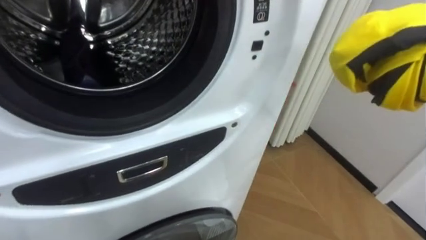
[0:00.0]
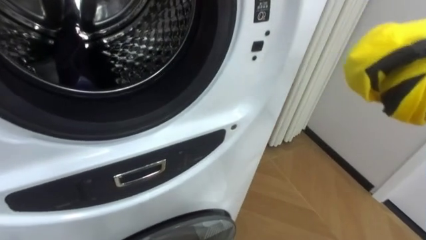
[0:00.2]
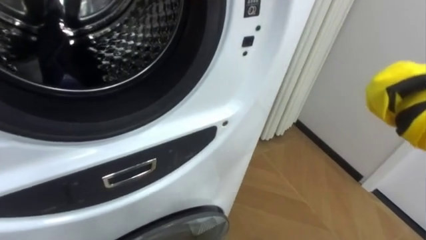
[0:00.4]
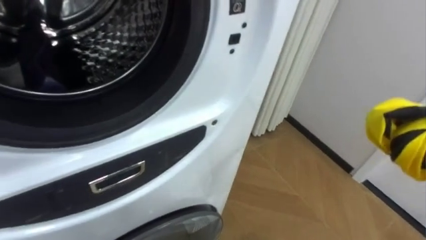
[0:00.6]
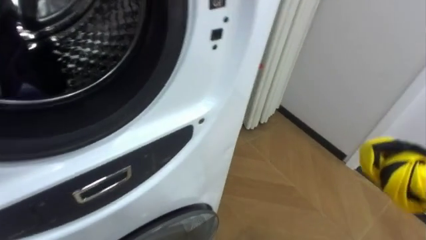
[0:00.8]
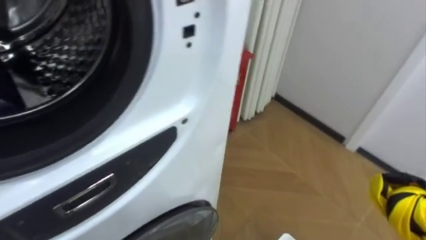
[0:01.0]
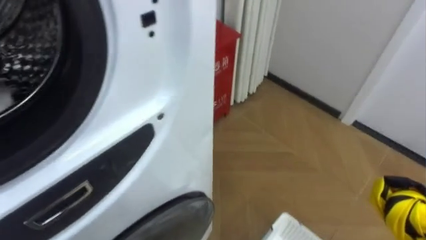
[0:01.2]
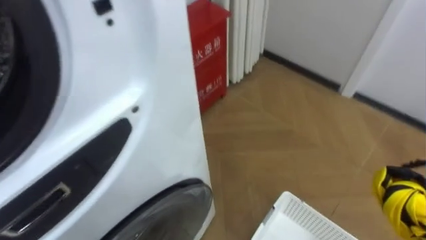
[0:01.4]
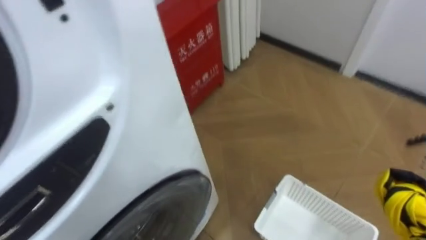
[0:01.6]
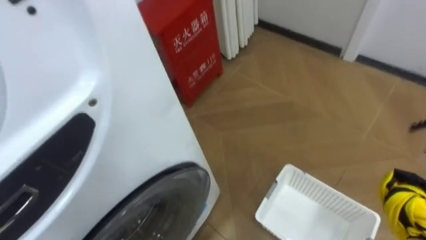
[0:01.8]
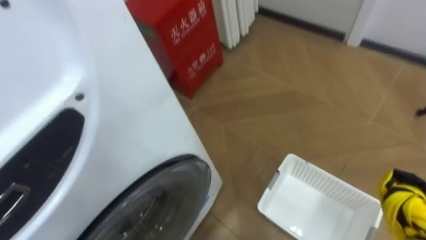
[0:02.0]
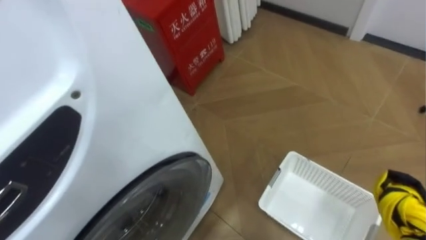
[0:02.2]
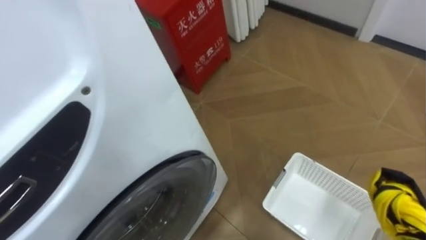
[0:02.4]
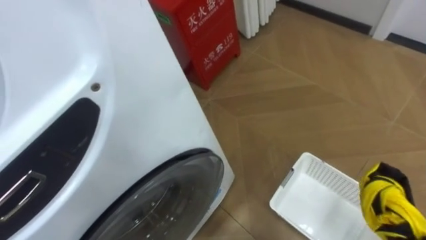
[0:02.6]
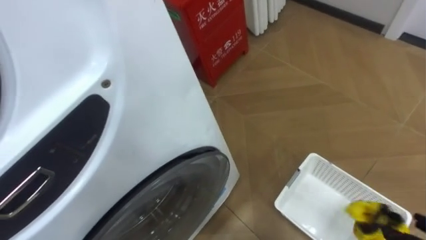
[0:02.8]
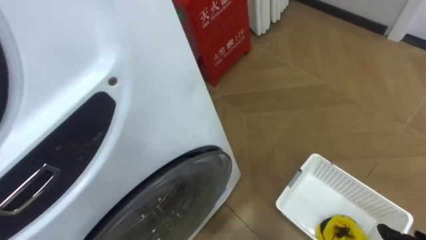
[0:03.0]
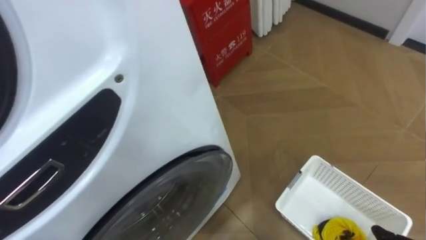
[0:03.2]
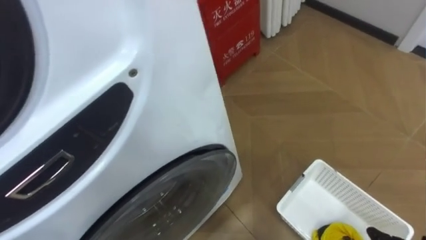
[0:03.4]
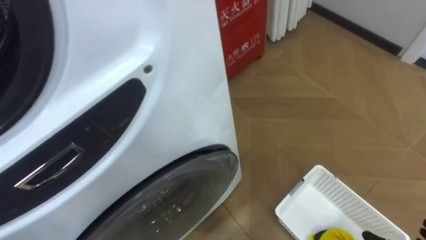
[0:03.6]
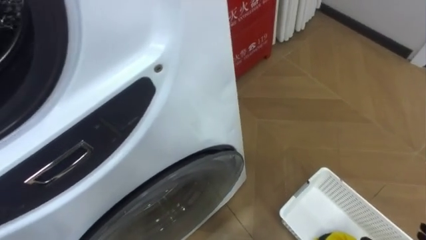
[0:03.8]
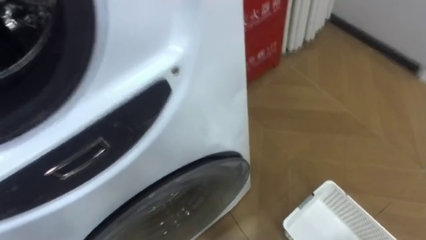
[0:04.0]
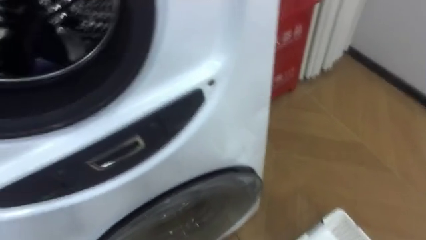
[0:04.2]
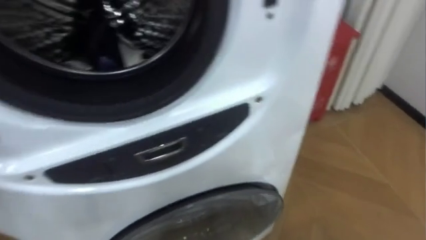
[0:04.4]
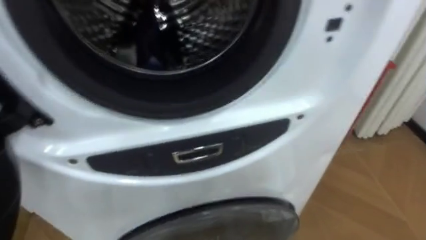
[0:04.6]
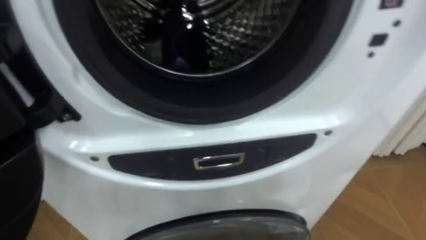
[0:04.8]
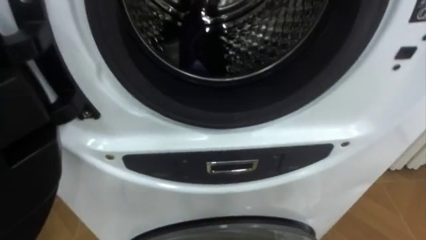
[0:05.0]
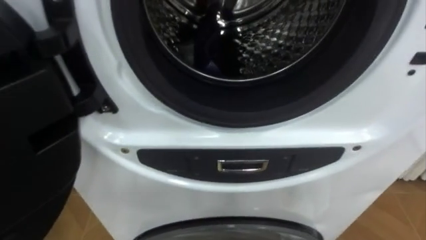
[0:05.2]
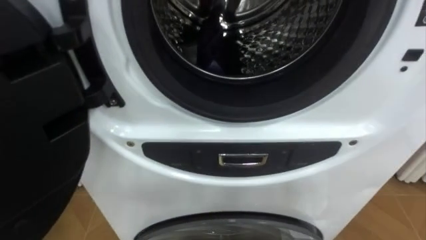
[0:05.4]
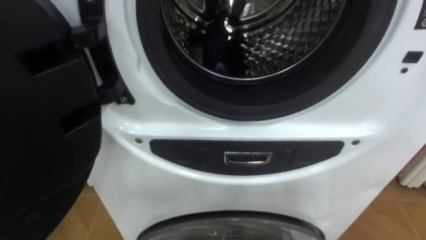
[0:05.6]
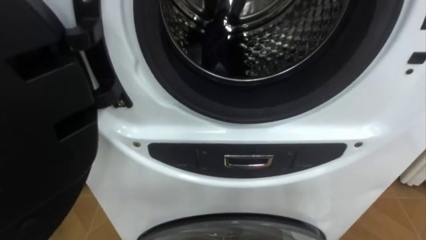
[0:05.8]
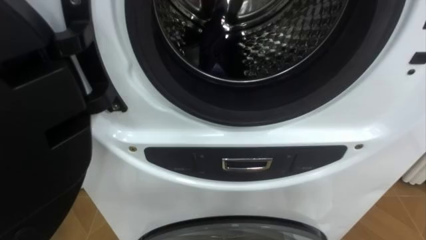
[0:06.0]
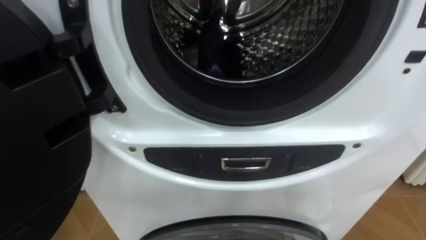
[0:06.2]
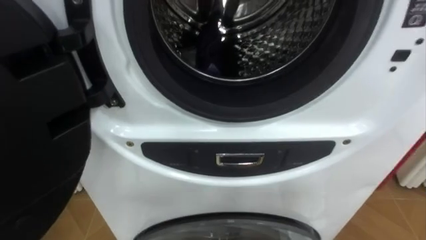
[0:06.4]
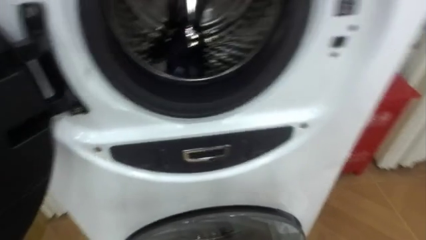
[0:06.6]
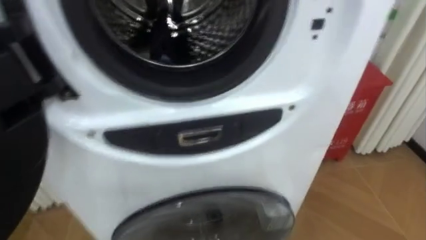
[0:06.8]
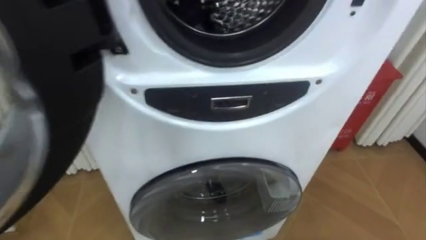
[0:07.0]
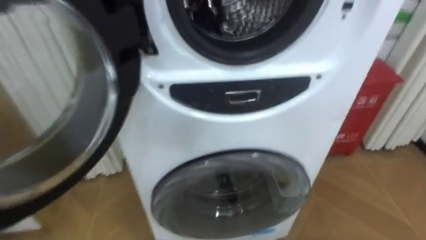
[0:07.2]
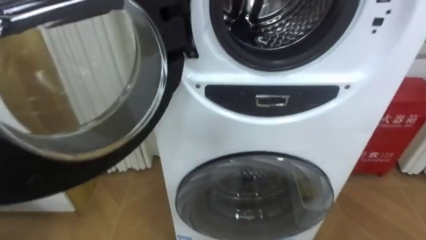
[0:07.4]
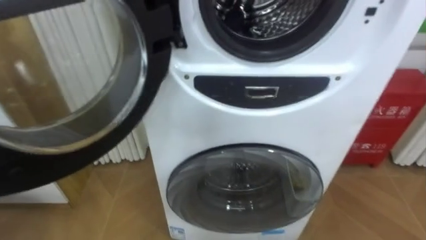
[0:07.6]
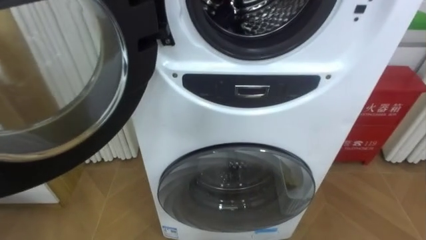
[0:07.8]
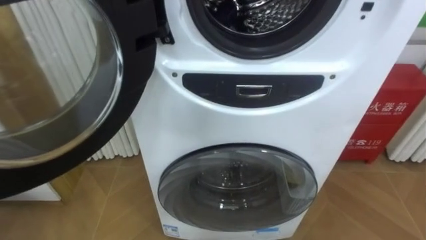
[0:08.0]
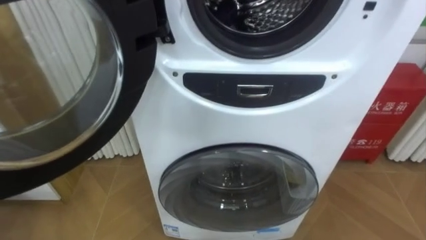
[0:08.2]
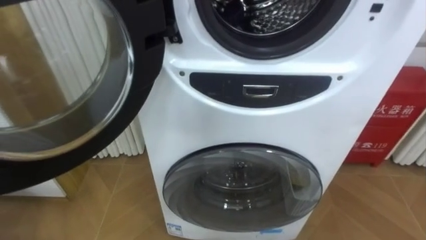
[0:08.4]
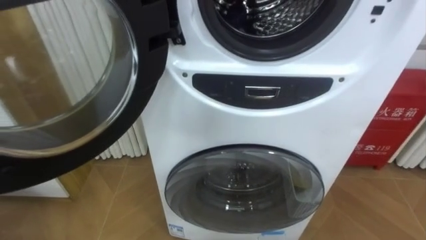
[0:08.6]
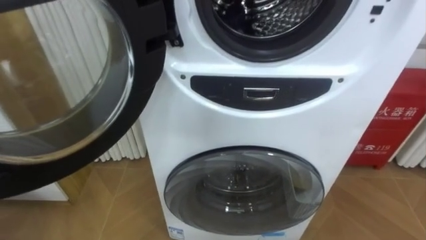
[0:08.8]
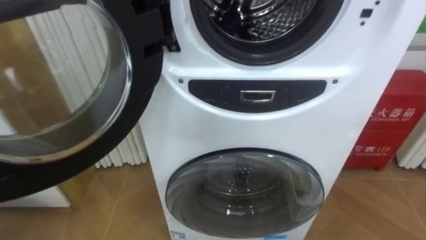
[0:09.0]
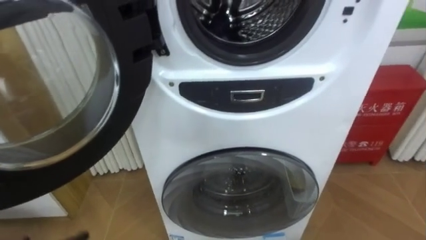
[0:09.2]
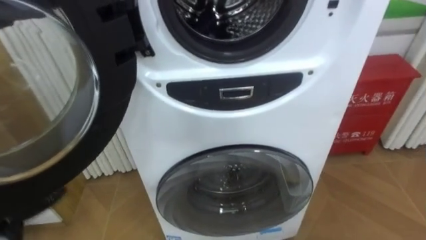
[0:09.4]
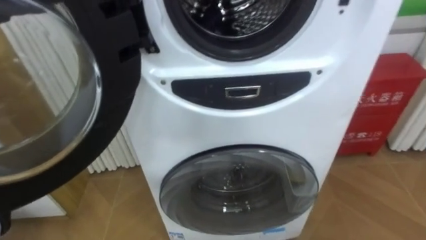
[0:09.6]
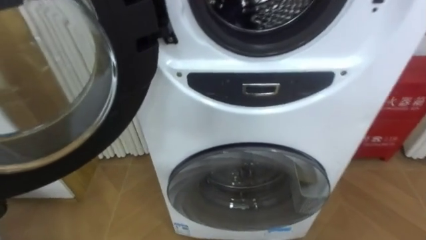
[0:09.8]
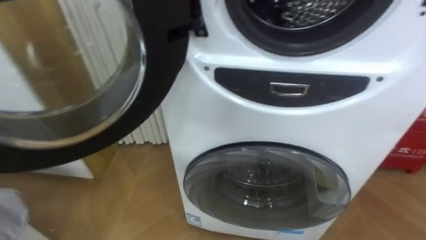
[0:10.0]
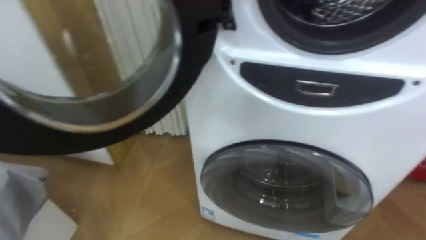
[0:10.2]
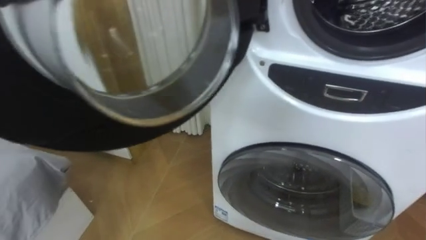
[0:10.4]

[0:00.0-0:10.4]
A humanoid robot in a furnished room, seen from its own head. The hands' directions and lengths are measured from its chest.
Task of the whole recording: Open the washing machine door, take out the yellow clothes, place them in the box on the right, and close the washing machine door.
0:00.0 to 0:01.4: The robot turns to its right by some 15 degrees.
0:03.0 to 0:04.4: The robot rotates roughly 15 degrees to its left.

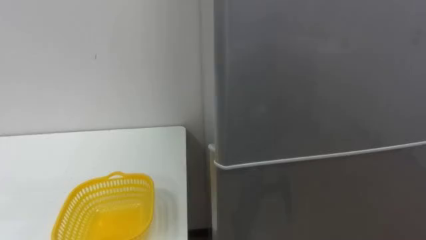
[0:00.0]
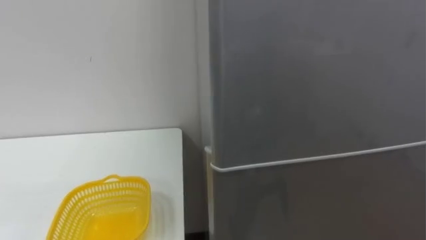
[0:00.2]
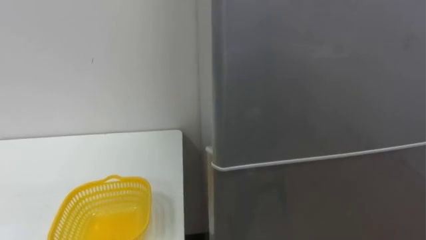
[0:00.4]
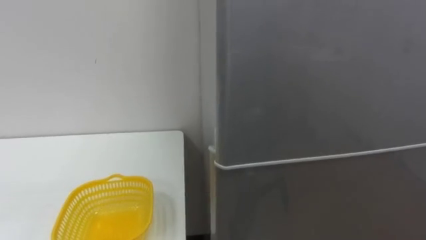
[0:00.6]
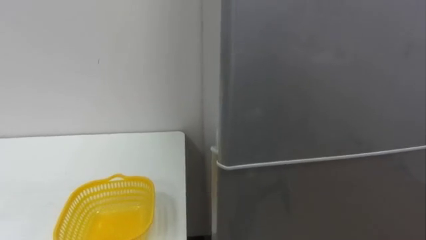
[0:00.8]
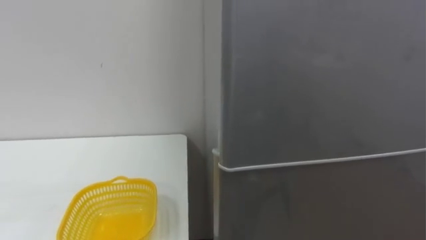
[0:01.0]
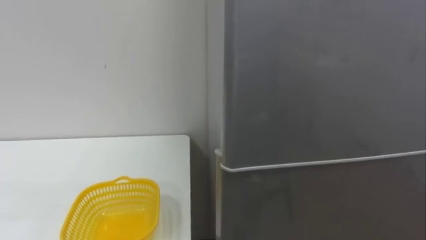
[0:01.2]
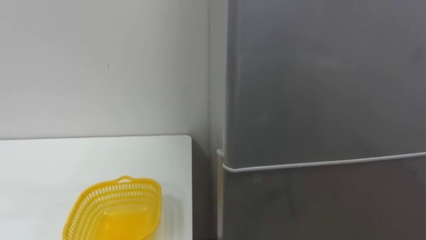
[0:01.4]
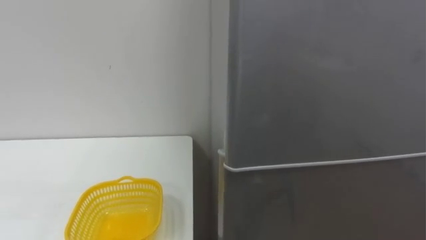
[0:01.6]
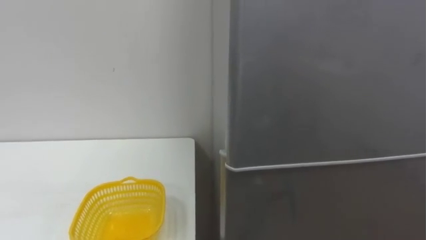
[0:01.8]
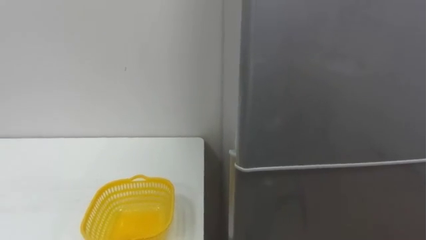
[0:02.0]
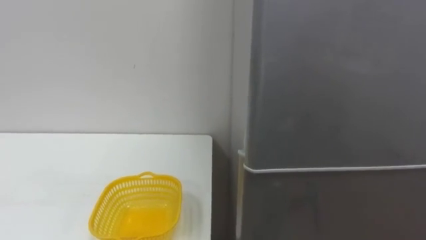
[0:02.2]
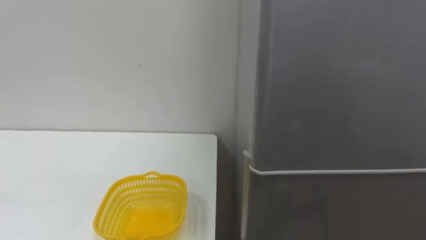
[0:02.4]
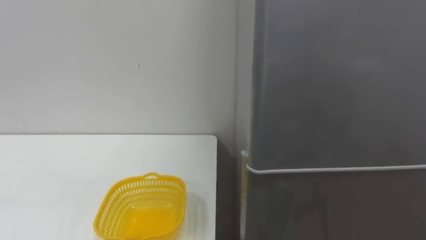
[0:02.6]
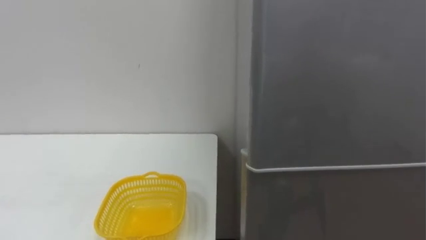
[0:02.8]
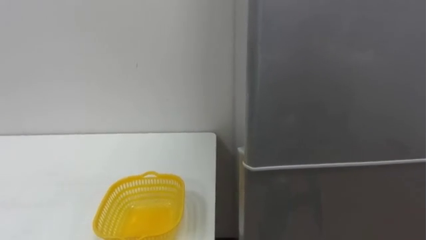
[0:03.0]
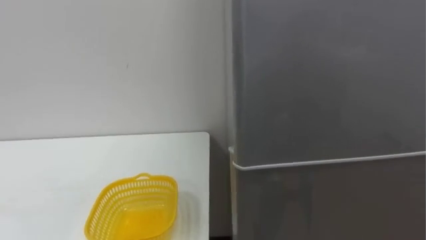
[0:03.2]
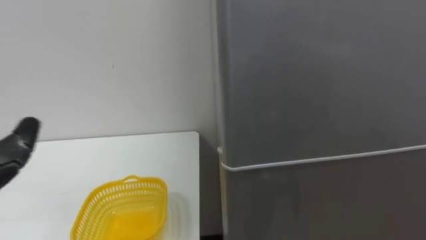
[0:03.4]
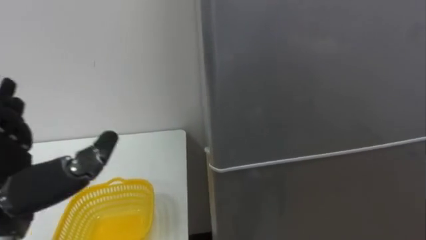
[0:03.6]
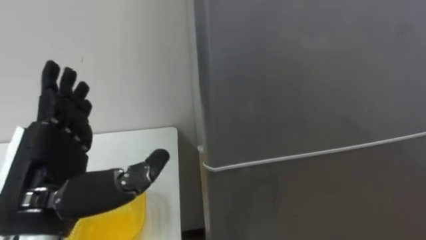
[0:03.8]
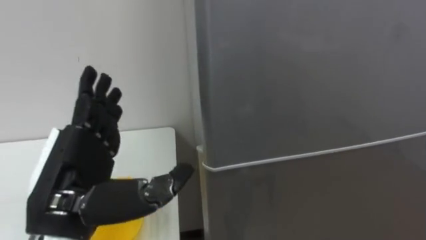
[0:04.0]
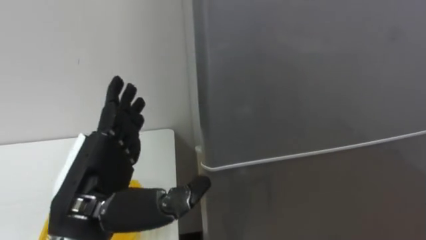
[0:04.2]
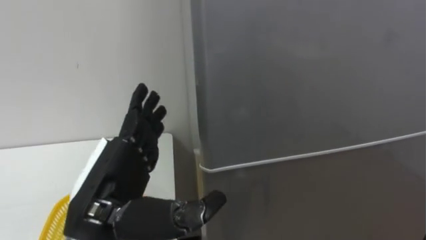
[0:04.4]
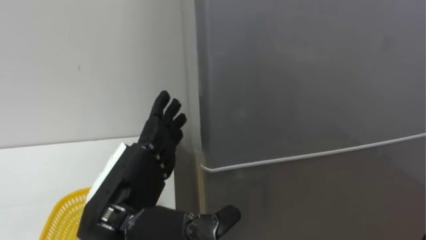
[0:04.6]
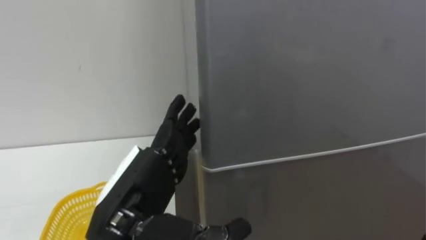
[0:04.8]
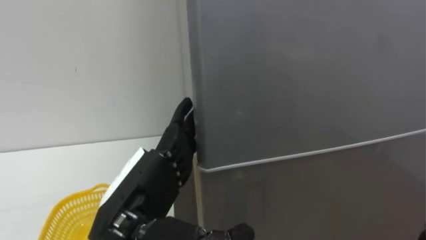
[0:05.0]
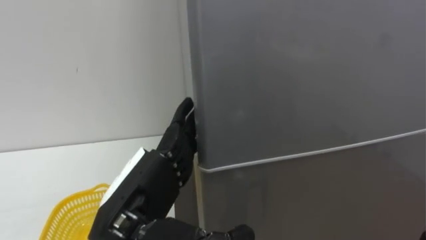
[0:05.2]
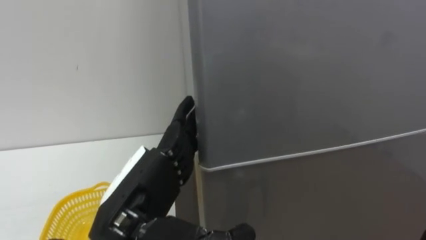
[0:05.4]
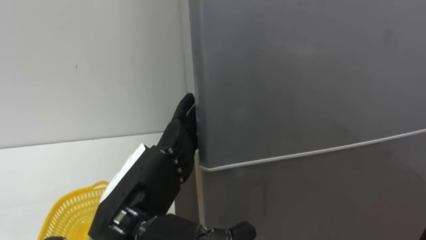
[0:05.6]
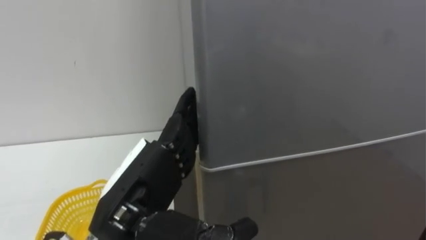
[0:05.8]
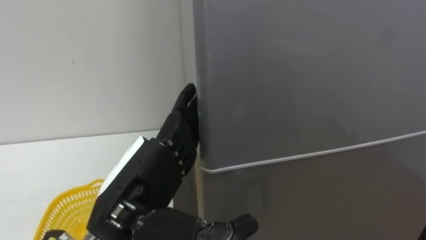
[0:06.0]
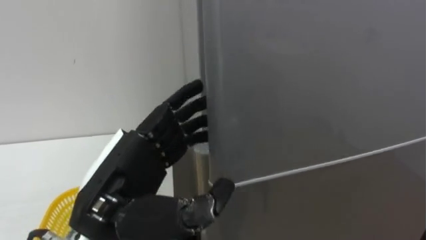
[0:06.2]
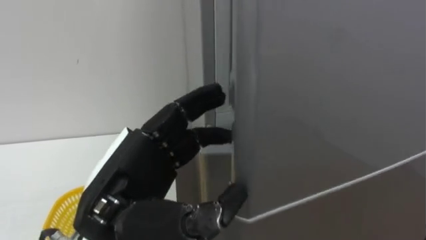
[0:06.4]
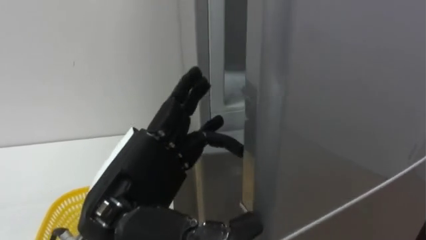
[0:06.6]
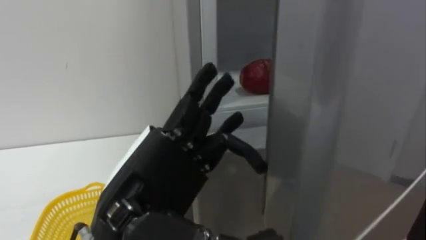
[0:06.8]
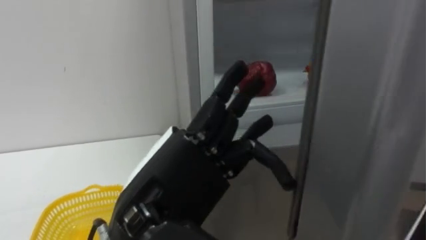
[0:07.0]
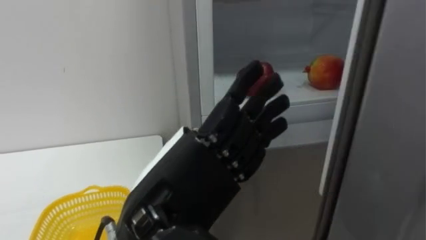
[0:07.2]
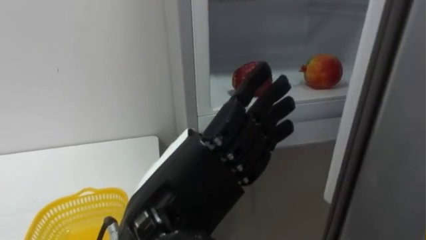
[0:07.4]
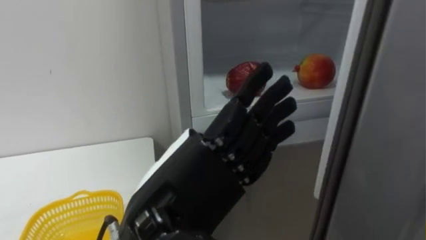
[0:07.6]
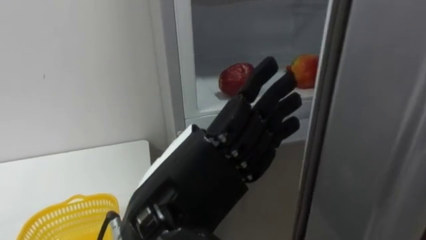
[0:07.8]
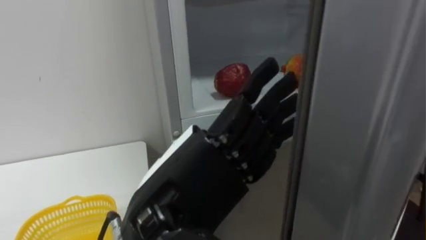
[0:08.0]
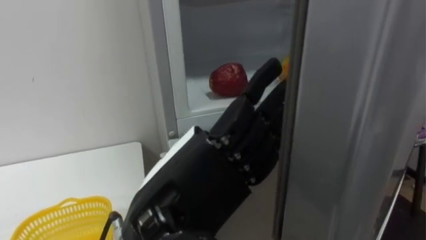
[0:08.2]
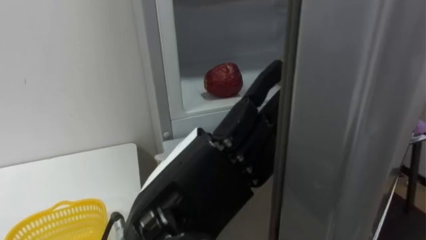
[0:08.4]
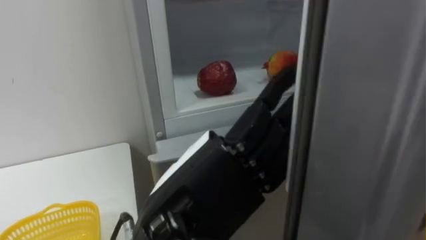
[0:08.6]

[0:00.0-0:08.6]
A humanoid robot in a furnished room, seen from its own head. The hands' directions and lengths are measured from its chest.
Task of the whole recording: Open the refrigerator door, take out the apple and the pomegranate, place them in the fruit basket on the left, and close the refrigerator door.
0:05.8 to 0:07.2: The left hand shifts by about 5 cm.
